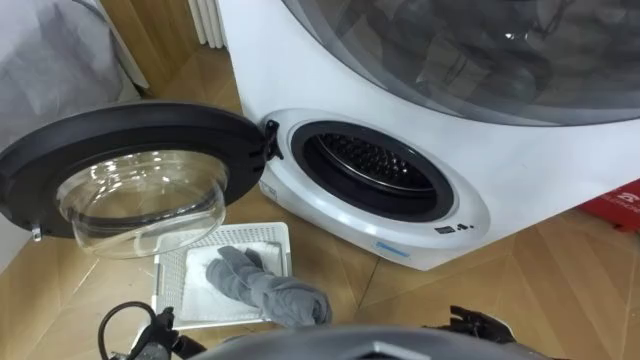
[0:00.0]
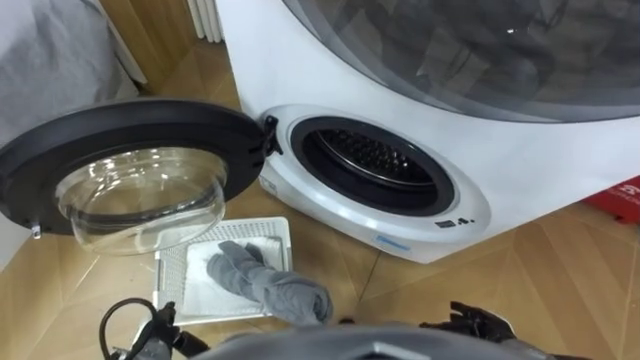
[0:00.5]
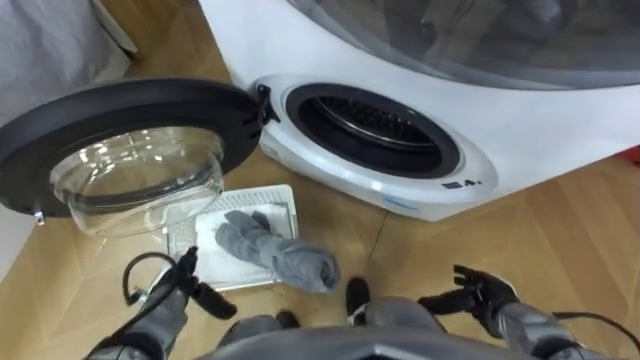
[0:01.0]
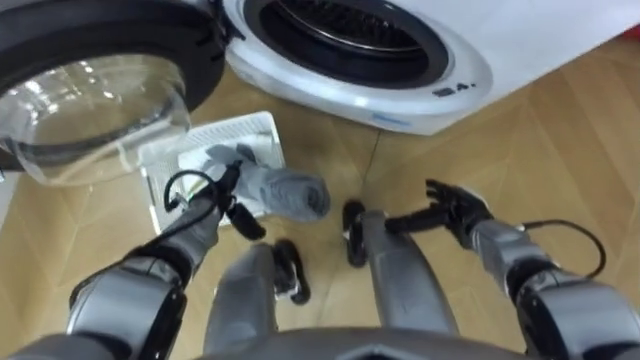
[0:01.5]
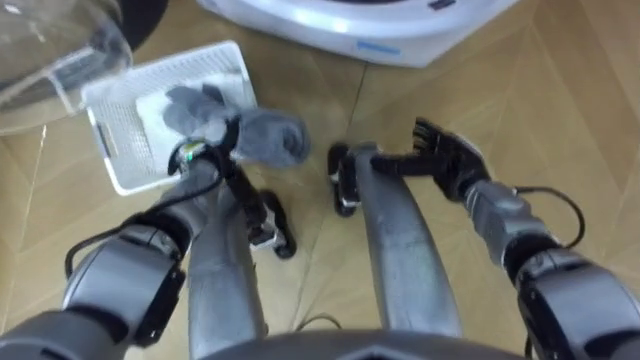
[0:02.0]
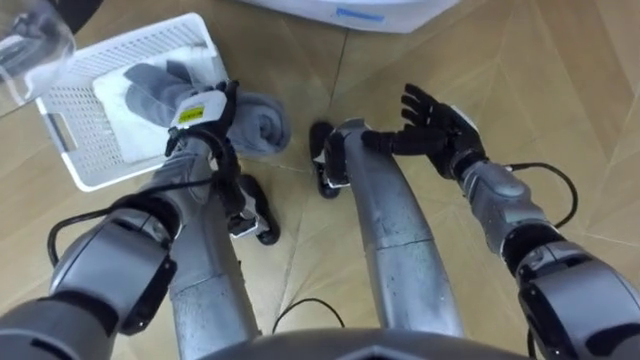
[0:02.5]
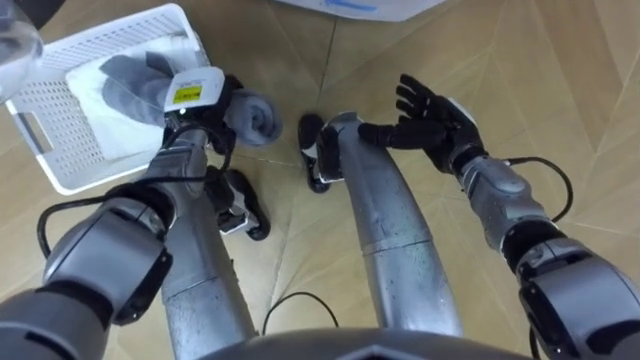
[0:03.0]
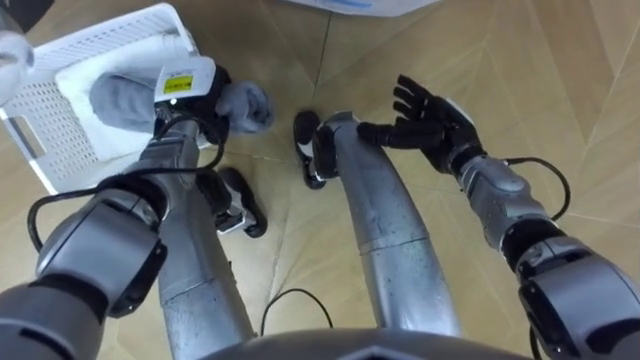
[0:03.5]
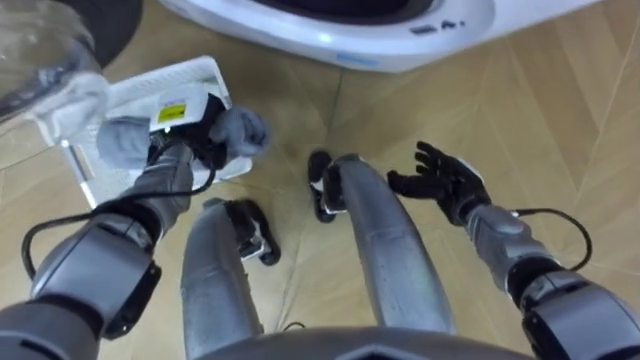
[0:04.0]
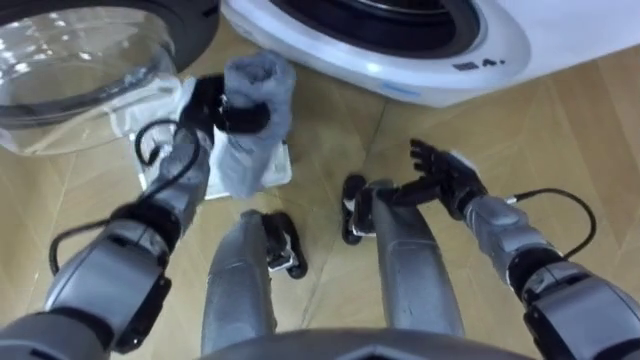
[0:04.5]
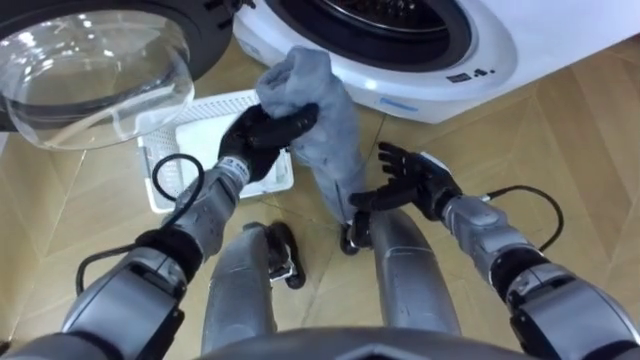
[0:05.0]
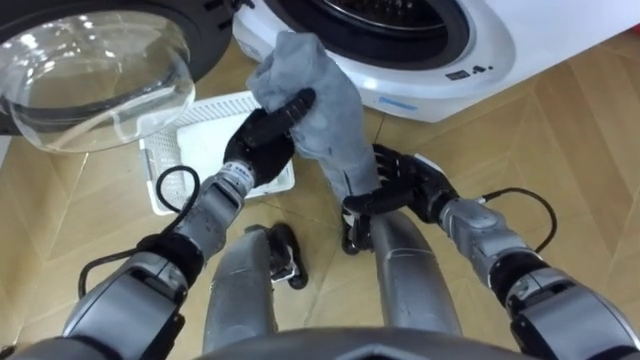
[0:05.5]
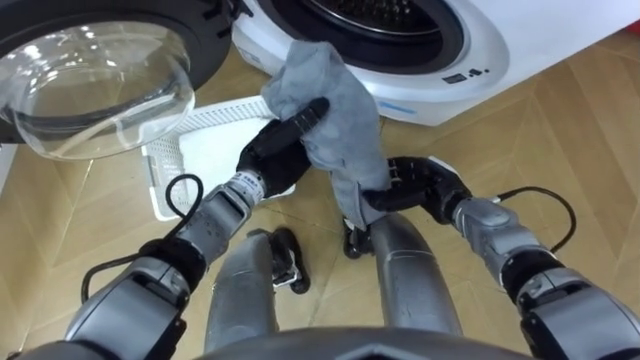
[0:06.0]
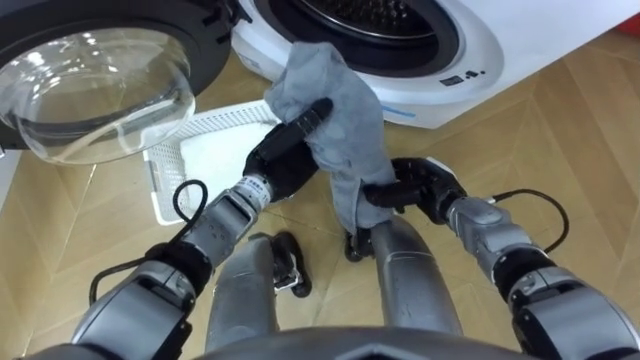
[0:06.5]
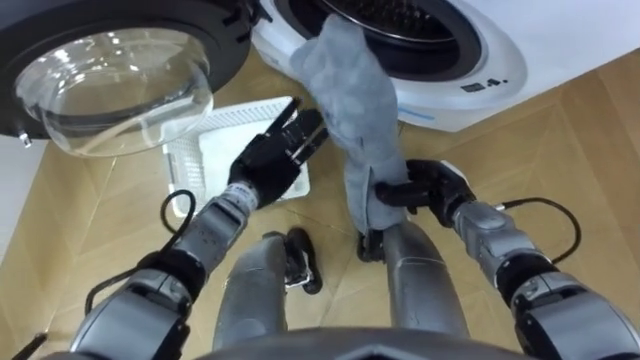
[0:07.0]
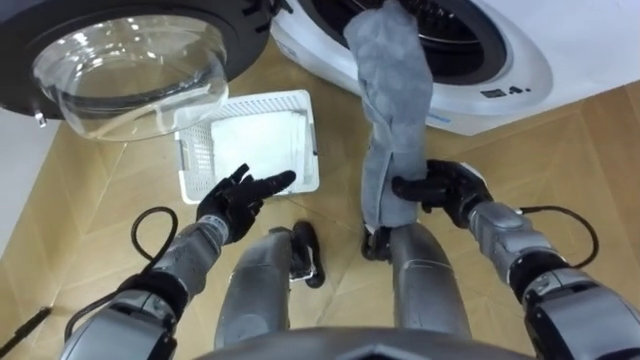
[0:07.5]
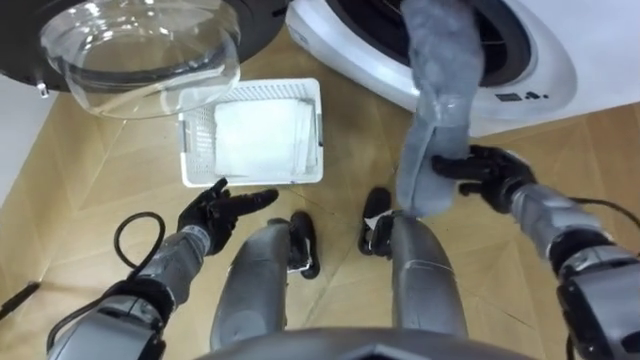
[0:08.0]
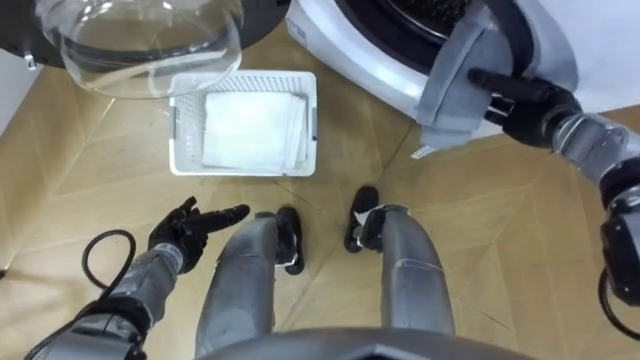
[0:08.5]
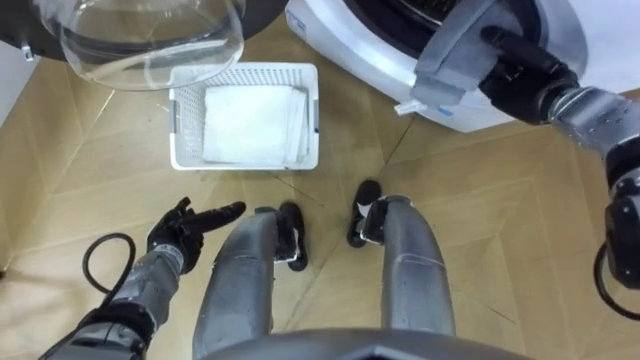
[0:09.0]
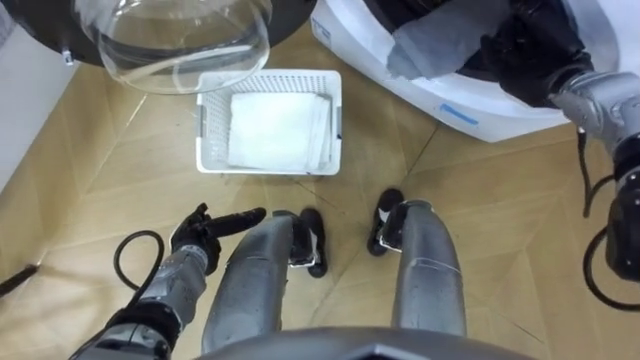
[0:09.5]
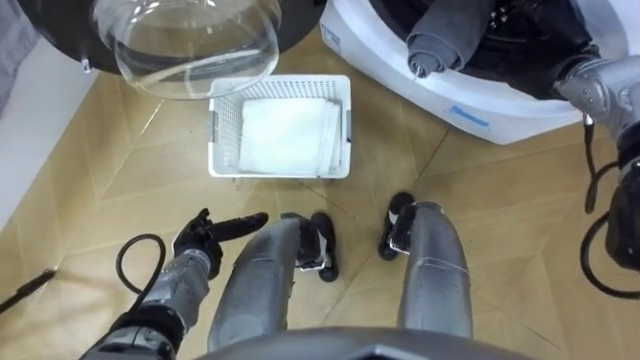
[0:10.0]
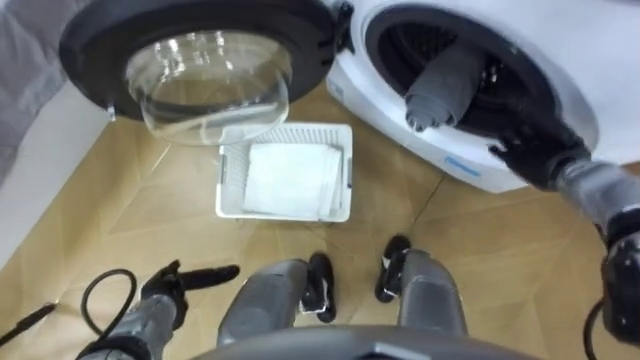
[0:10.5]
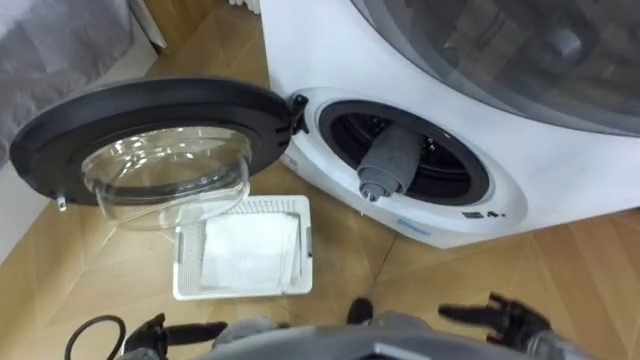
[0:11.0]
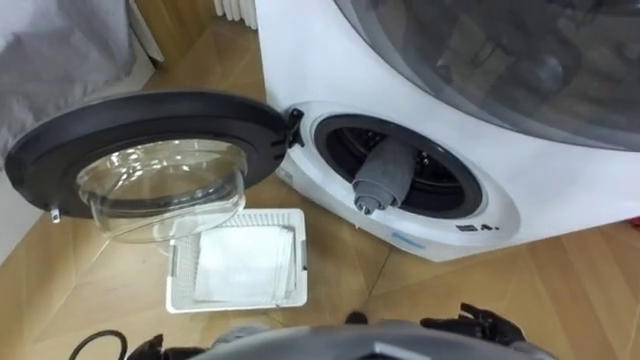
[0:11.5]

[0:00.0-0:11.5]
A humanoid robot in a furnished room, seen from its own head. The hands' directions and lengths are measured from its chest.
Task of the whole recording: Take the towel from the basket and put it into the washing machine.
0:02.0 to 0:04.0: The left hand closes.
0:04.0 to 0:06.0: The left hand goes roughly 15 cm to the right. Meanwhile the right hand closes its fingers.
0:06.0 to 0:07.5: The left hand is displaced to the left, downward and backward by roughly 15 cm, and opens.
0:07.5 to 0:09.5: The left hand moves backward, roughly 5 cm. The right hand shifts approximately 20 cm upward, forward and to the right, and opens.
0:09.5 to 0:11.5: The right hand heads backward and downward, covering some 40 cm.

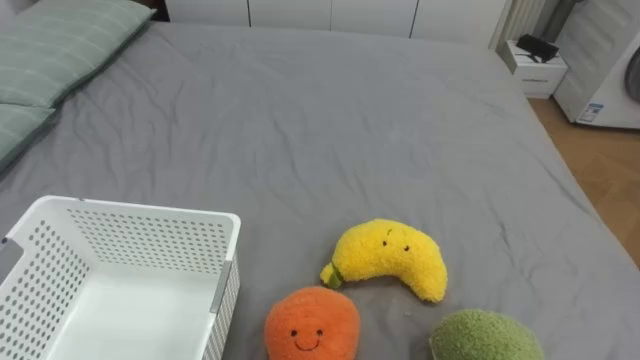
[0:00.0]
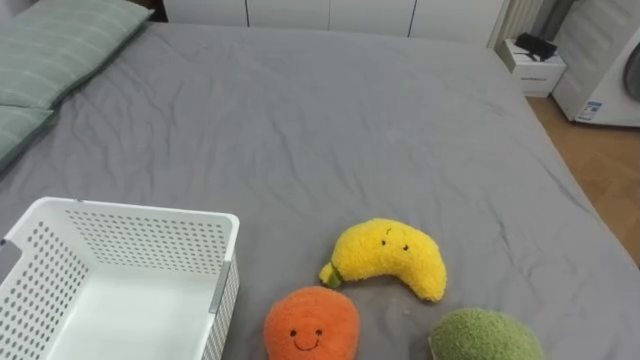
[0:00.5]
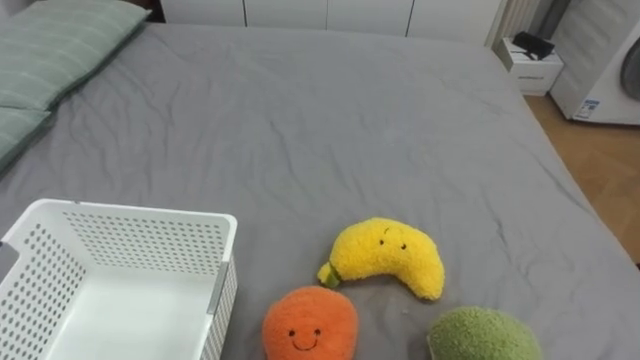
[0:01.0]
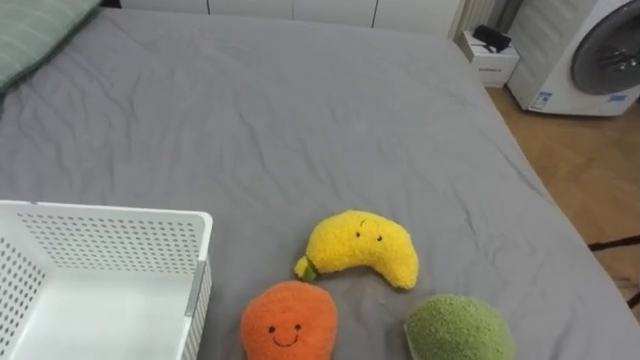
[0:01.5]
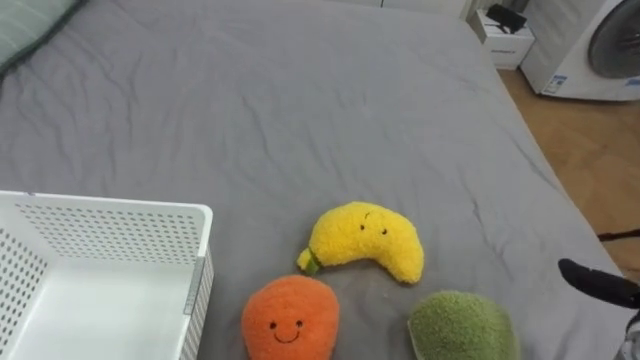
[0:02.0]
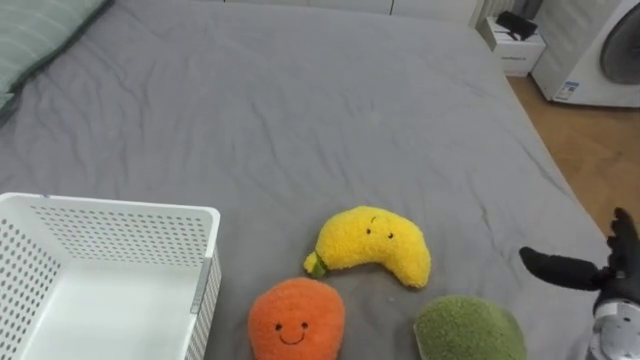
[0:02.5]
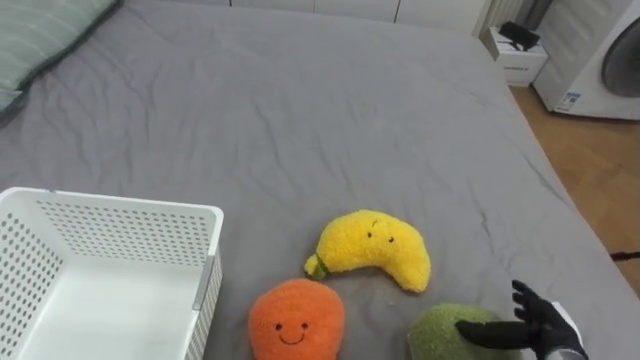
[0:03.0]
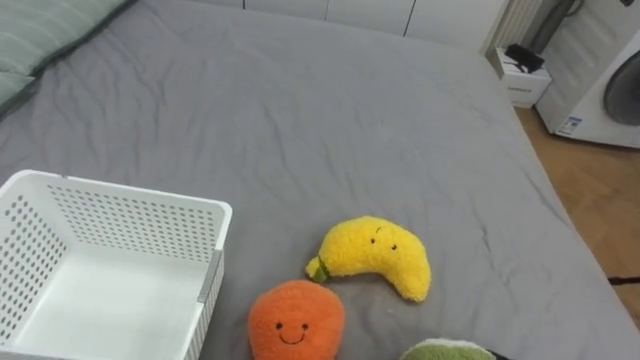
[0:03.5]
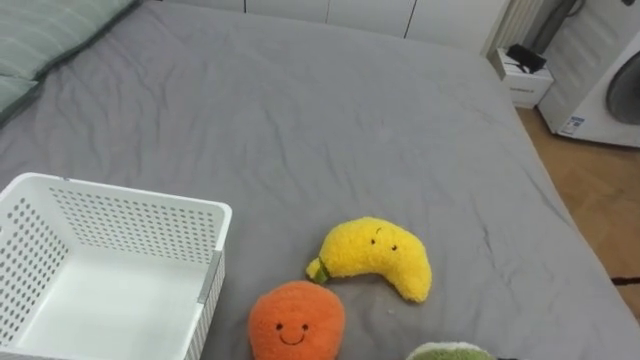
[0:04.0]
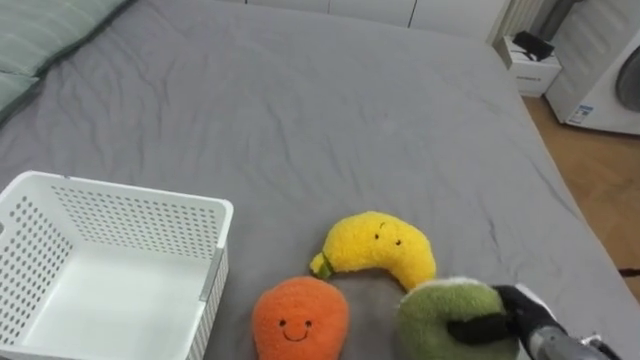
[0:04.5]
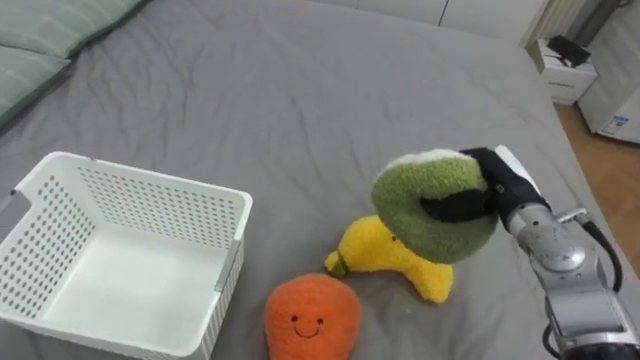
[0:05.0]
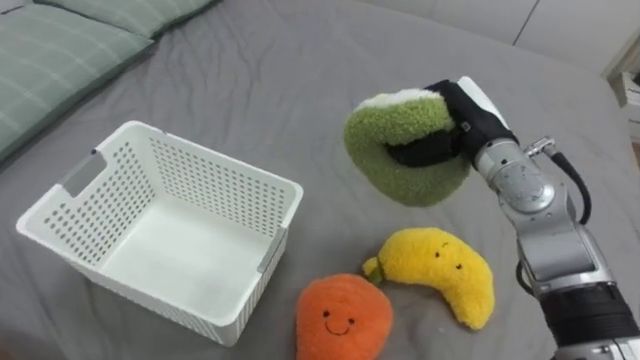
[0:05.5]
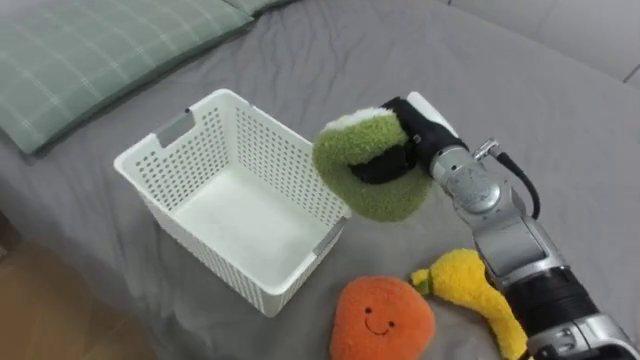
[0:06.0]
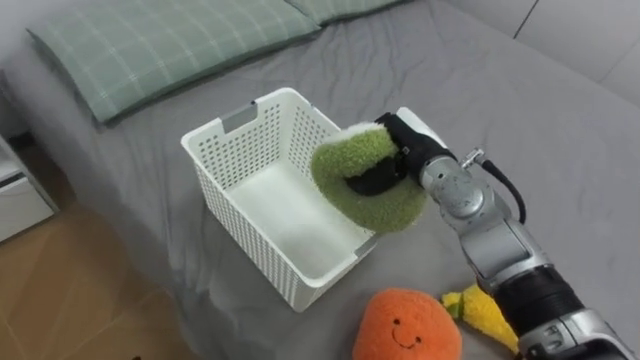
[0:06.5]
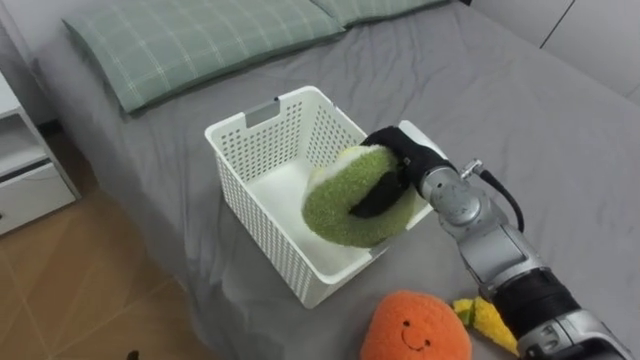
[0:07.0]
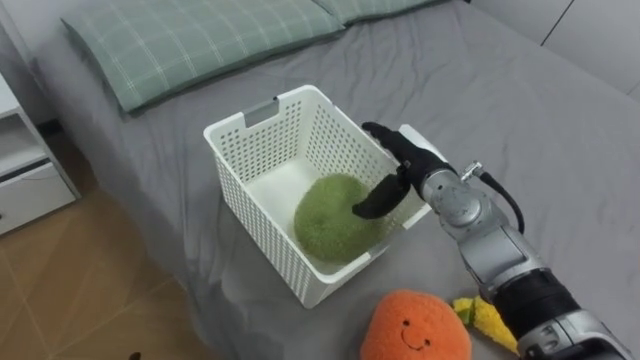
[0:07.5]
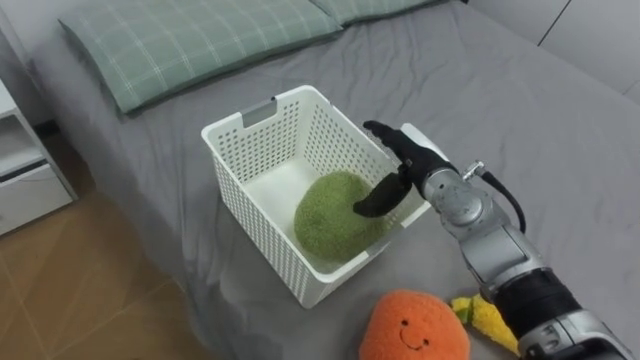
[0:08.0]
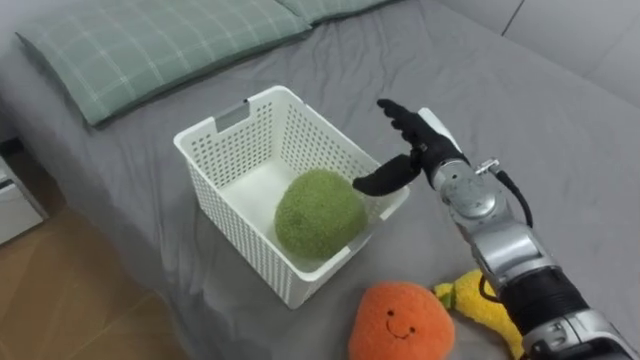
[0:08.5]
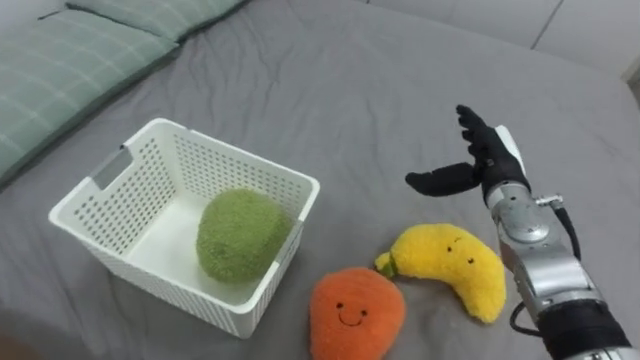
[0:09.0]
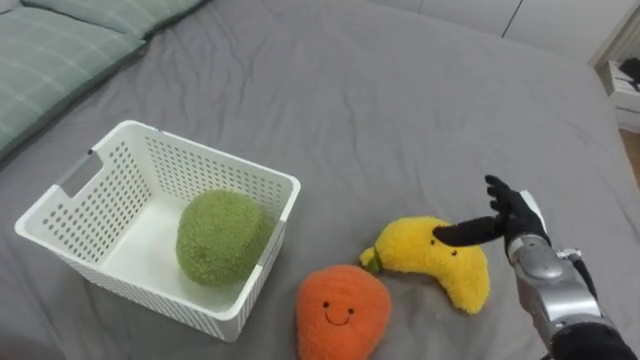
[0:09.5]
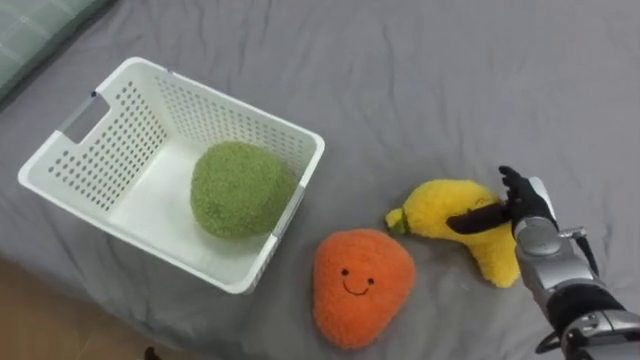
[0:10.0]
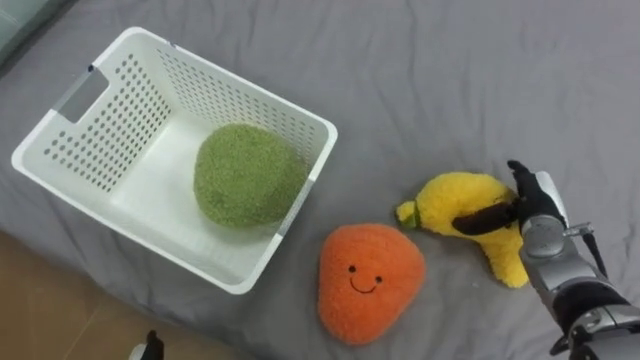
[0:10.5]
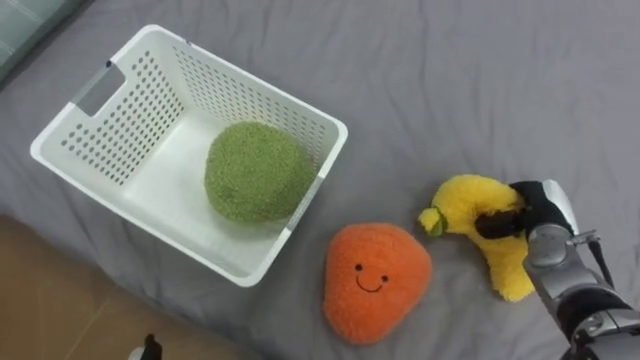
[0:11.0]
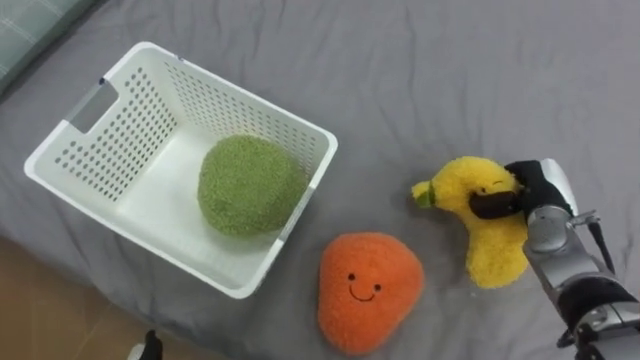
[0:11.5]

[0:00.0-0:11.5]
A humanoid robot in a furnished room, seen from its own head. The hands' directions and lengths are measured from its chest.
Task of the whole recording: Put the toys on the bed into the basket on the left.
0:06.0 to 0:07.5: The right hand opens up.
0:07.5 to 0:09.5: The right hand goes roughly 15 cm to the right and downward.
0:09.5 to 0:11.5: The right hand closes.
